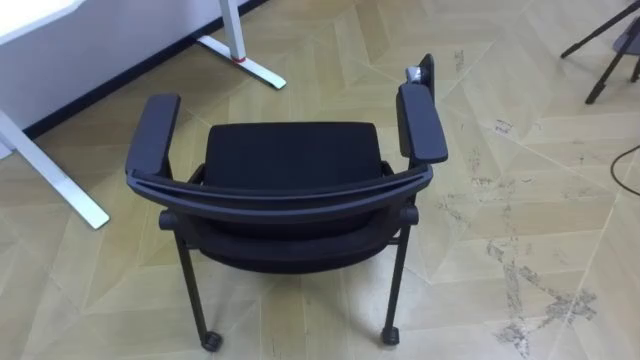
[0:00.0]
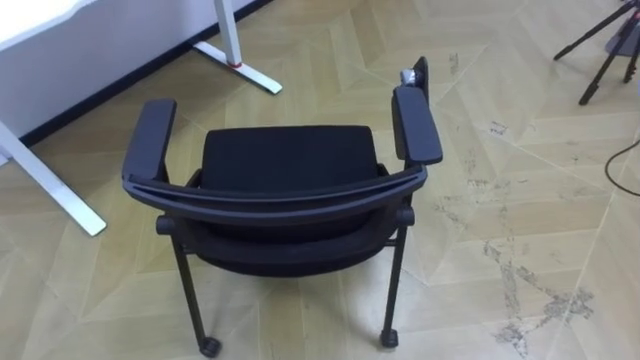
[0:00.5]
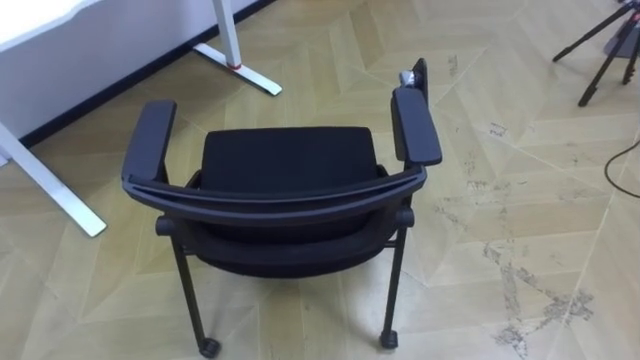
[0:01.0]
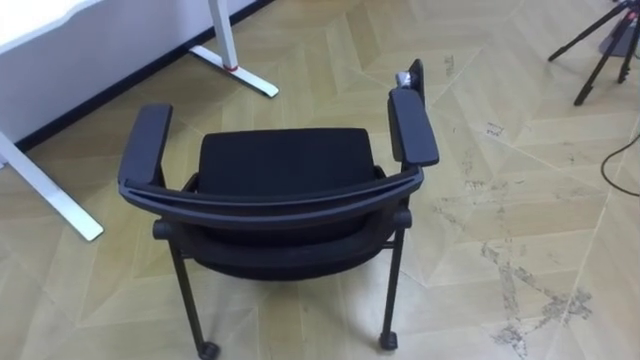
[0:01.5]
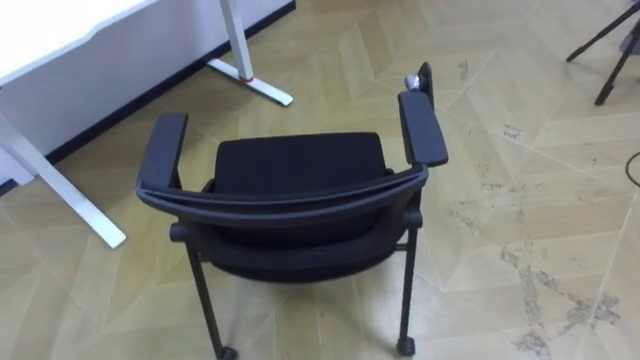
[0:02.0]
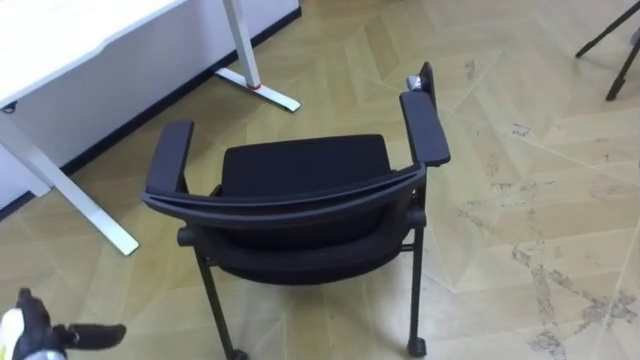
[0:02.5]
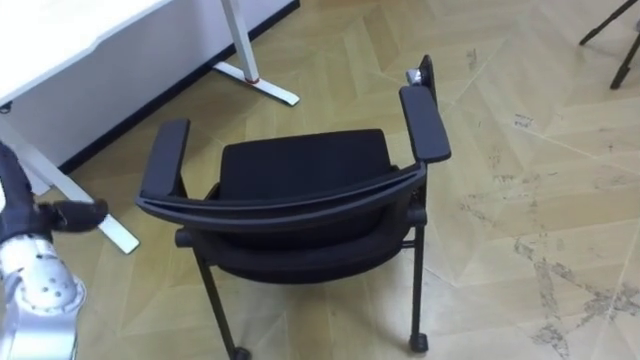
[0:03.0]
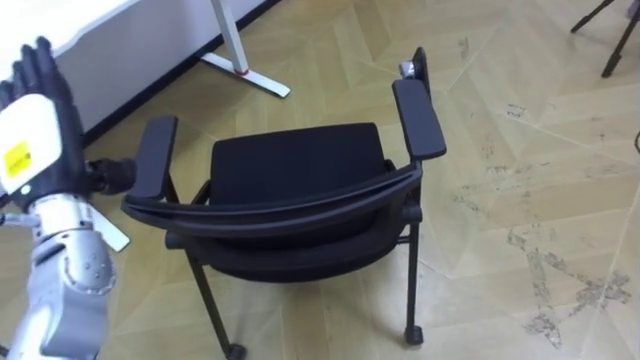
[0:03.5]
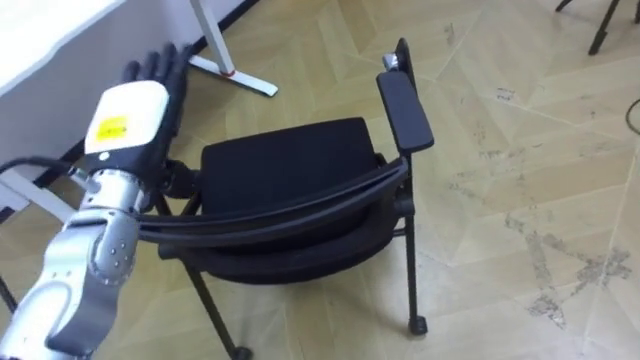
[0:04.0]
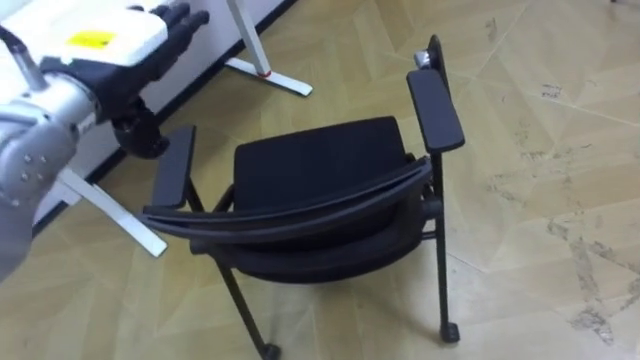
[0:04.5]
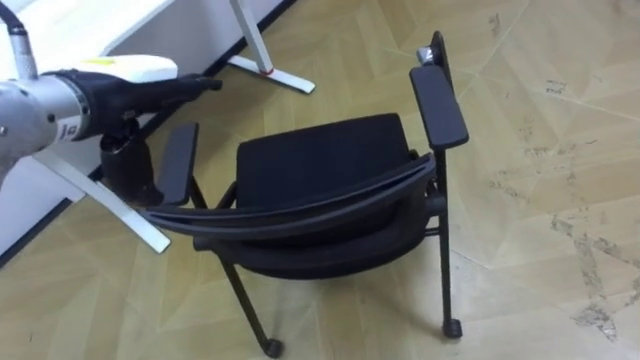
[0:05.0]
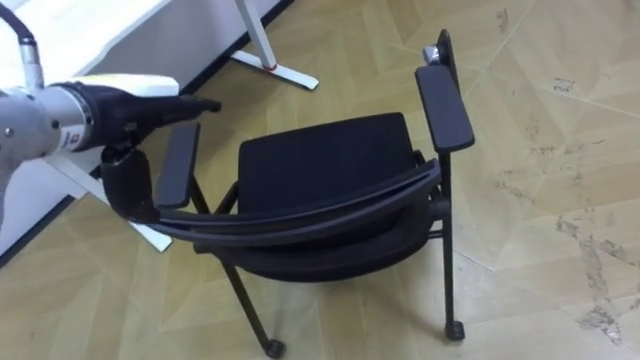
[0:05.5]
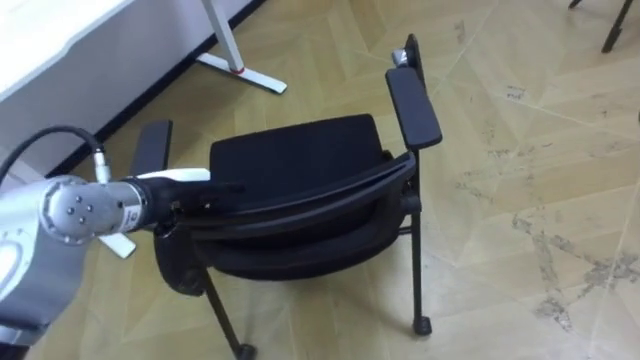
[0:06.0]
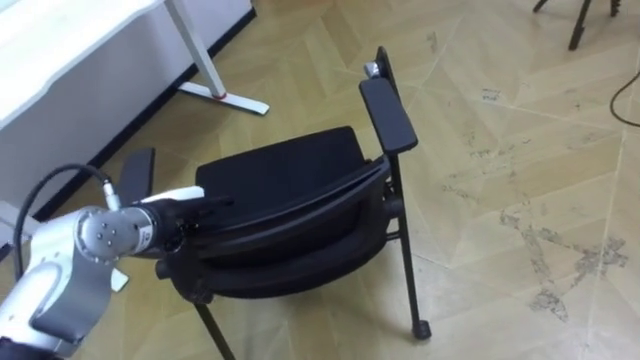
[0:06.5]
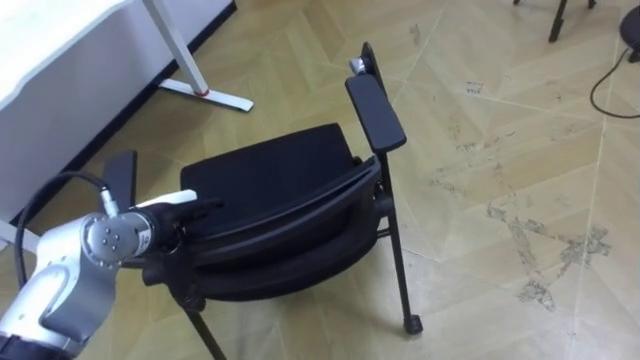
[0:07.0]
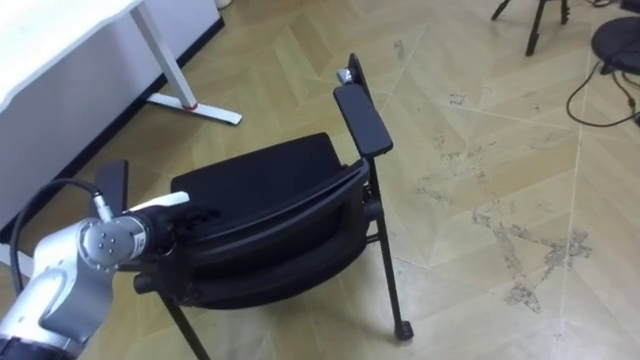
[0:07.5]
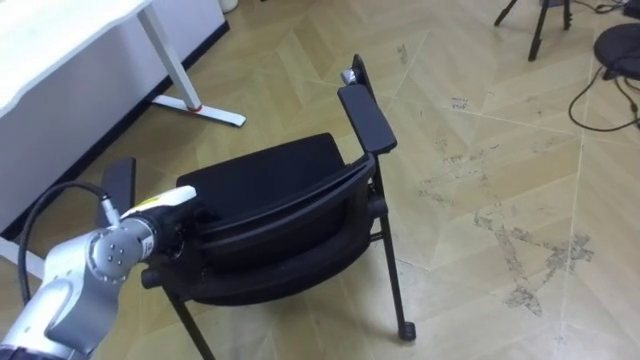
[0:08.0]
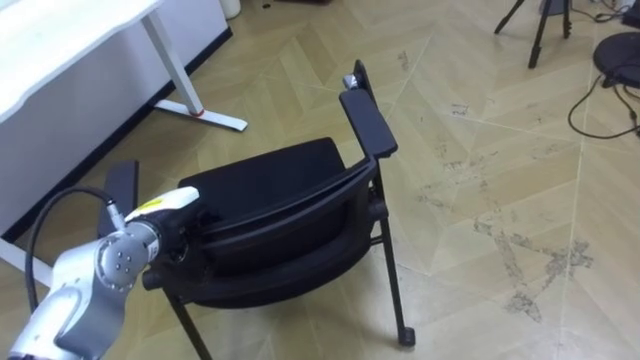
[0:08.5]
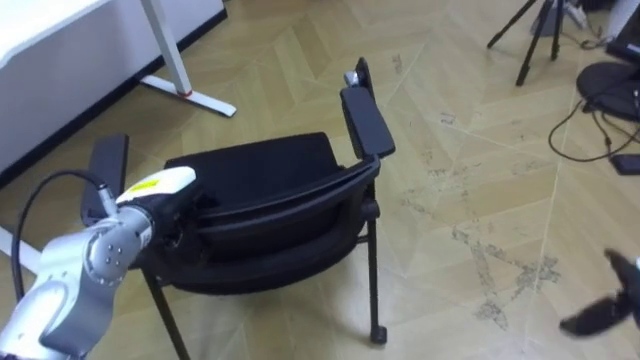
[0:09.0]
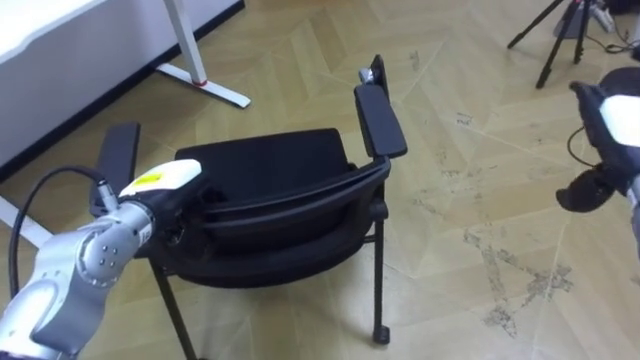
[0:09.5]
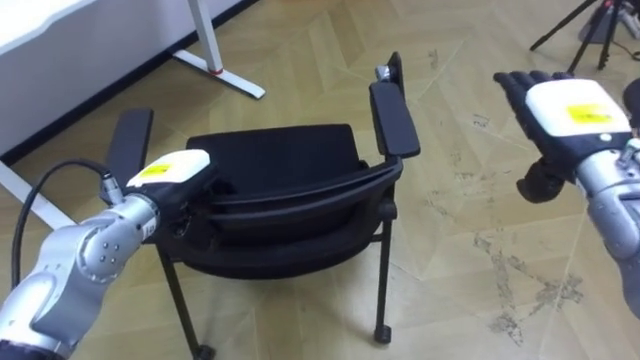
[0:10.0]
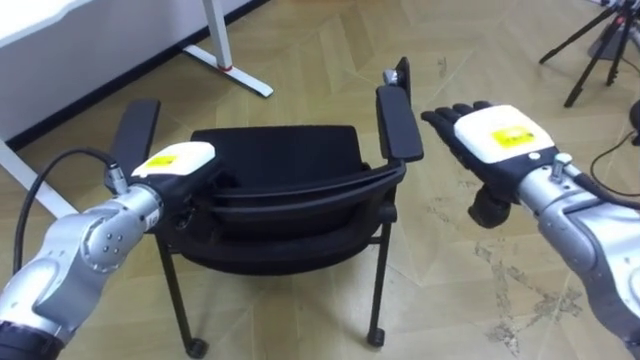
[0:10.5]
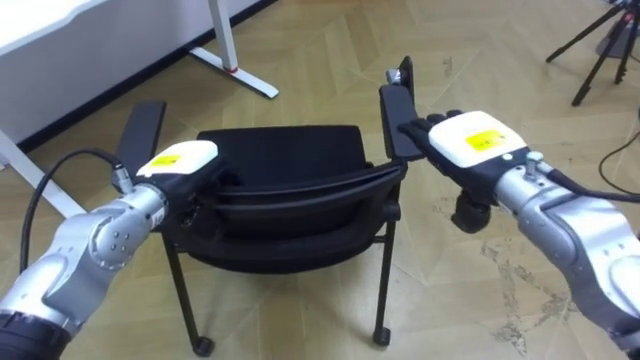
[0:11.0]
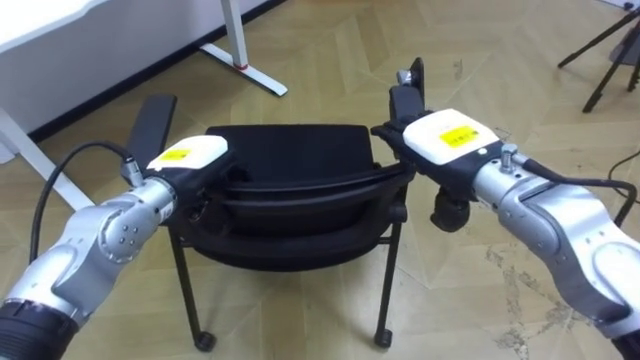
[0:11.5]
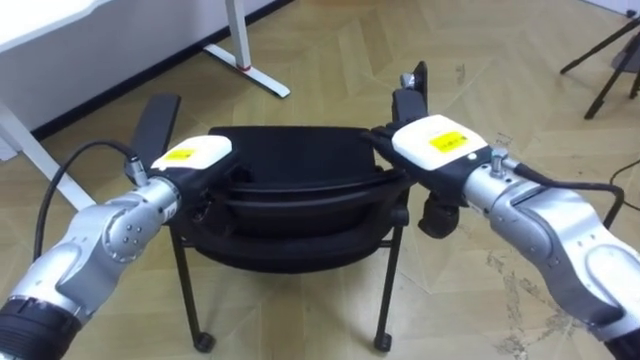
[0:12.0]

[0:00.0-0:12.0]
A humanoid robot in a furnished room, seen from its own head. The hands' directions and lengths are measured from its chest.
Task of the whole recording: Push the chair under the table.
0:04.0 to 0:06.0: The left hand moves downward, about 5 cm.
0:06.0 to 0:08.0: The left hand moves downward, approximately 5 cm, and closes its fingers.
0:10.0 to 0:12.0: The right hand travels to the left by approximately 15 cm.

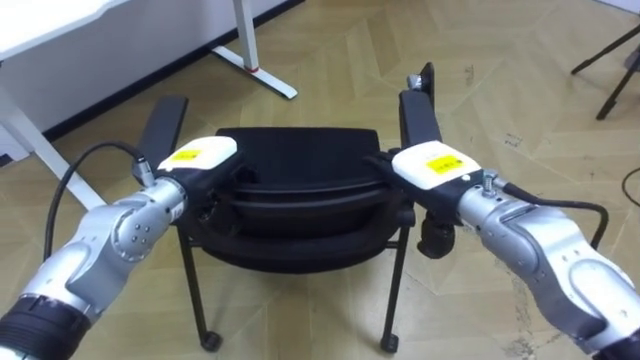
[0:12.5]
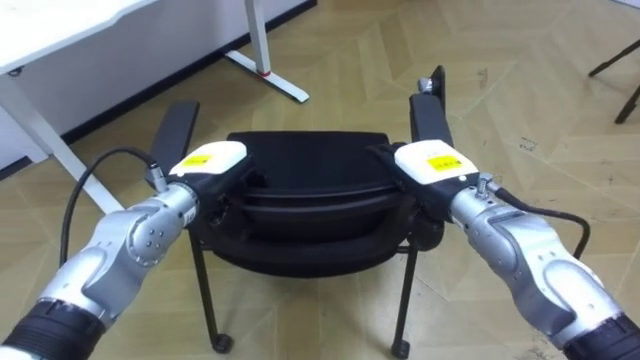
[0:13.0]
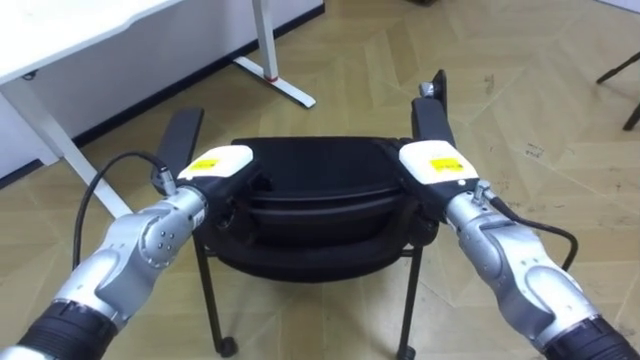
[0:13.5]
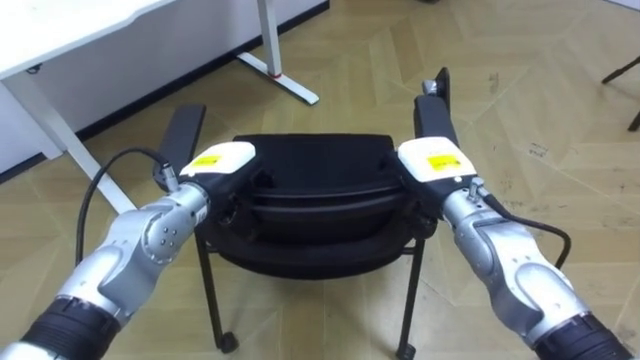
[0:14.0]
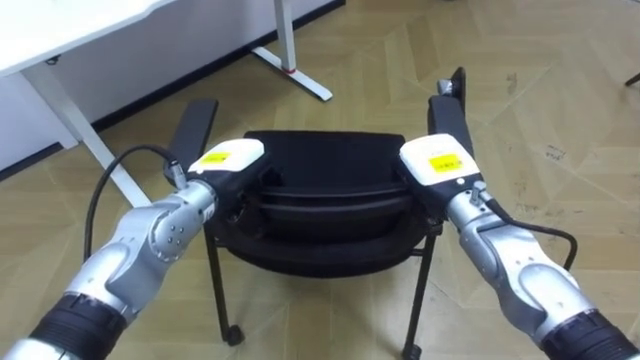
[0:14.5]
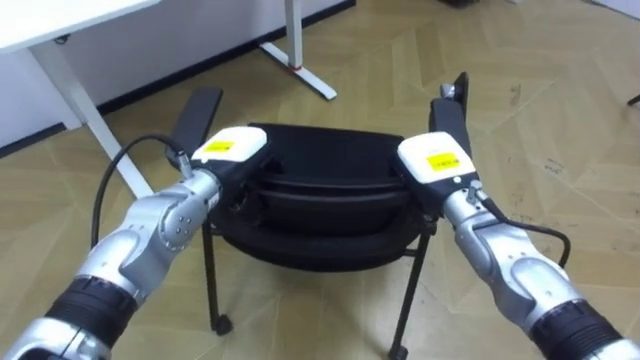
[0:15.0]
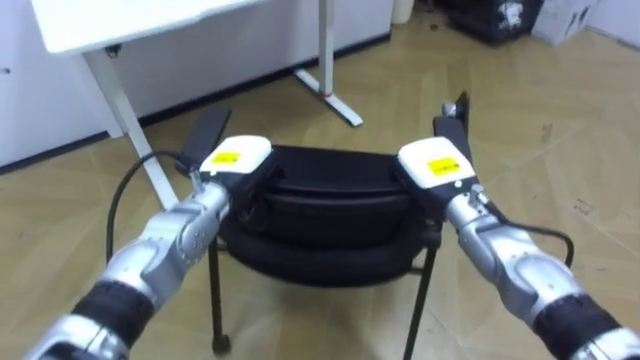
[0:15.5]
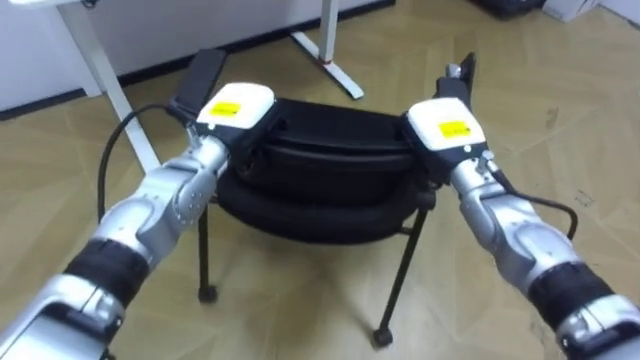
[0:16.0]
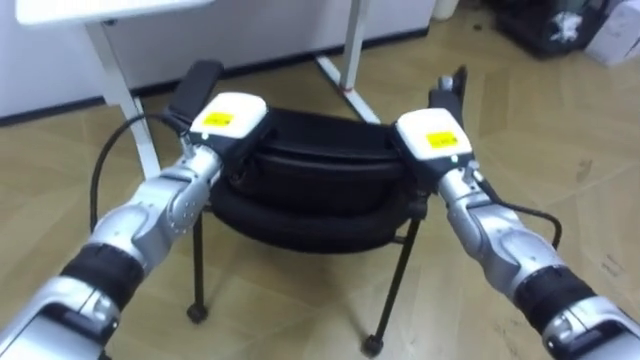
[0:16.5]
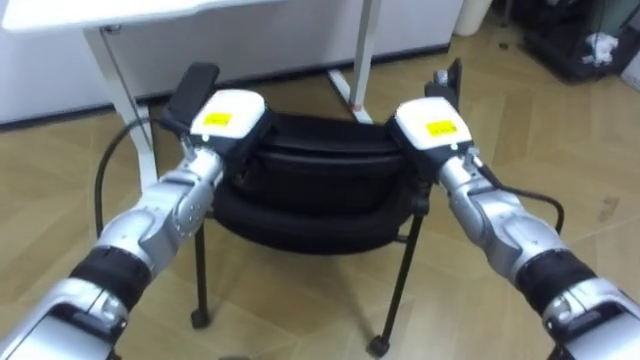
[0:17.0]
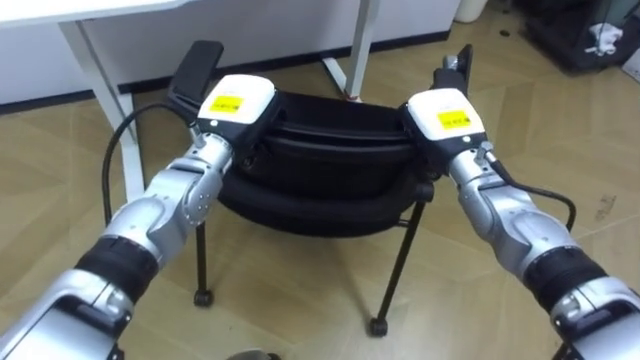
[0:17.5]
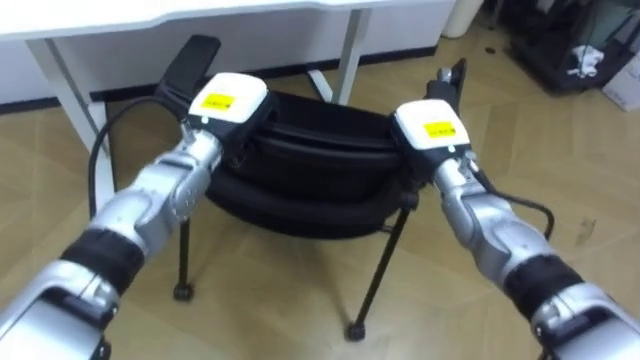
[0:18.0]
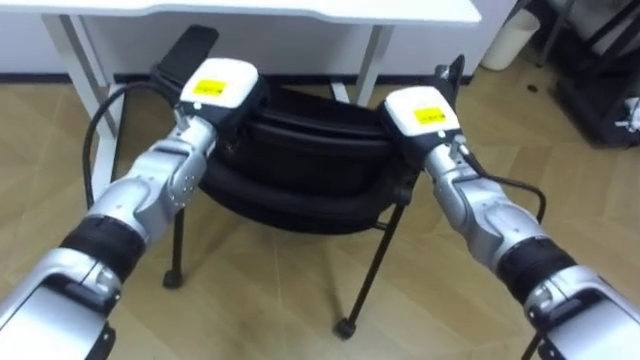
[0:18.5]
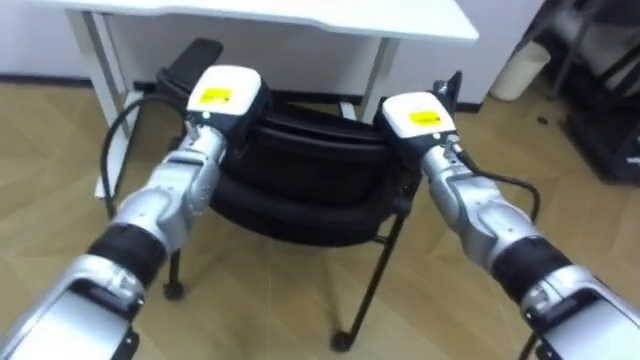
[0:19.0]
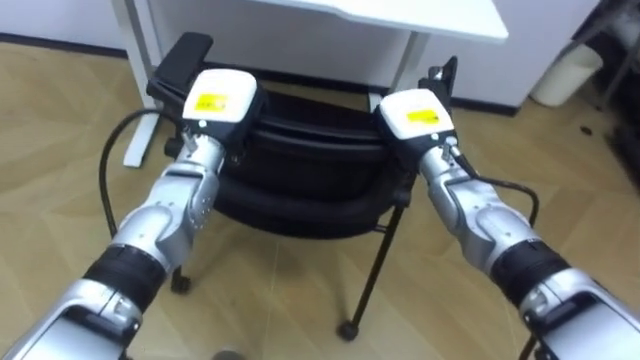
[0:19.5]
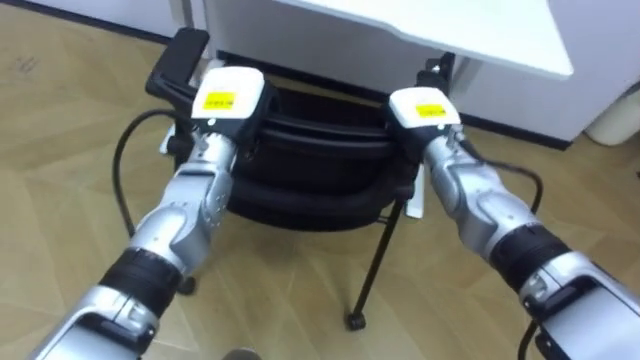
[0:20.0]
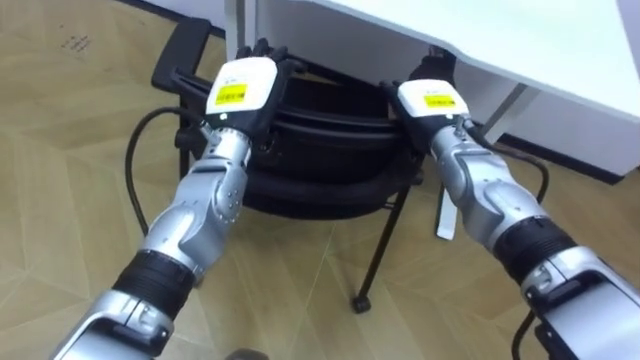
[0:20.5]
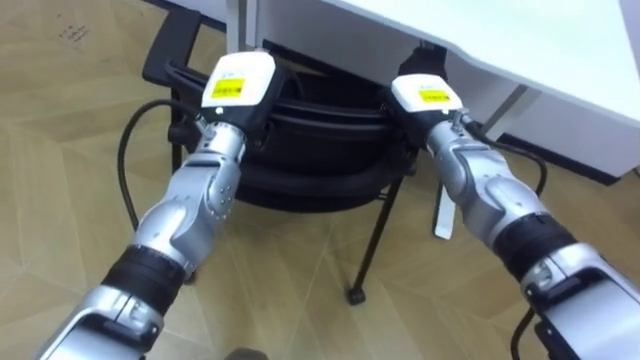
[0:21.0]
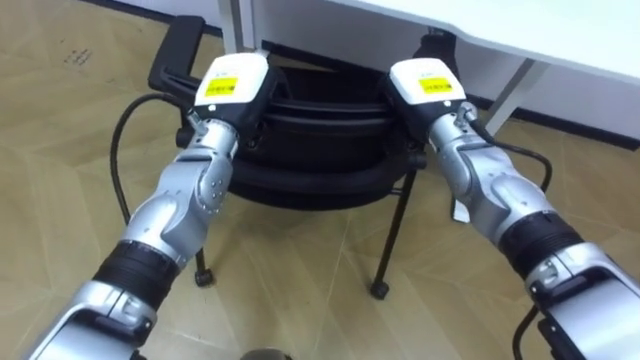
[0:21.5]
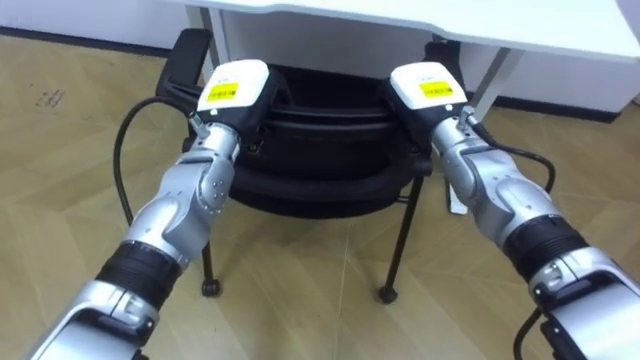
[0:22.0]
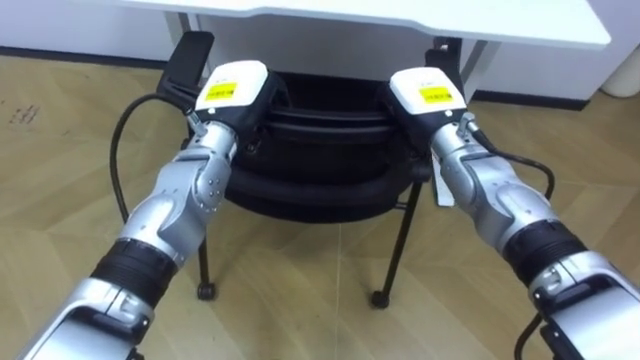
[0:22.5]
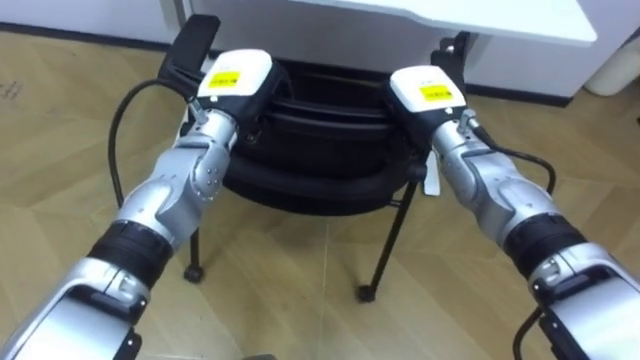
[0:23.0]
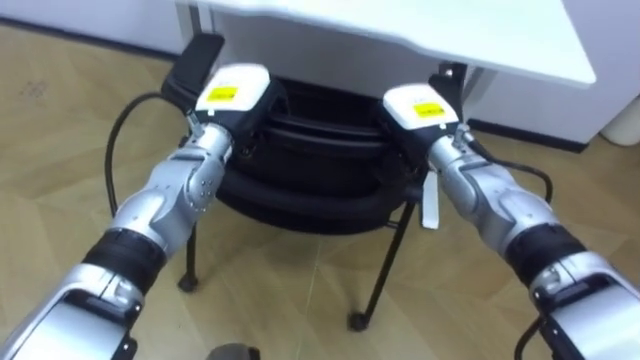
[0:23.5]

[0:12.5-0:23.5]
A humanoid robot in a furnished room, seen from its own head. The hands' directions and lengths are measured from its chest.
Task of the whole recording: Push the chair under the table.
0:12.5 to 0:14.5: The right hand closes up.
0:14.5 to 0:16.0: The left hand changes place by approximately 5 cm.
0:18.0 to 0:20.0: The robot's body swings roughly 25 degrees to its left. The right hand opens up.
0:20.0 to 0:21.5: The left hand opens, then closes once more.
